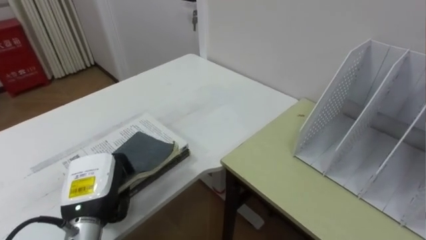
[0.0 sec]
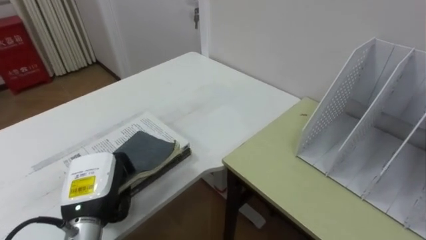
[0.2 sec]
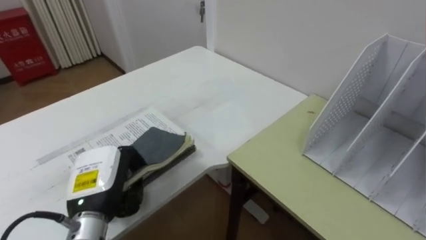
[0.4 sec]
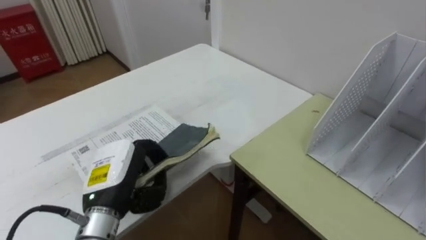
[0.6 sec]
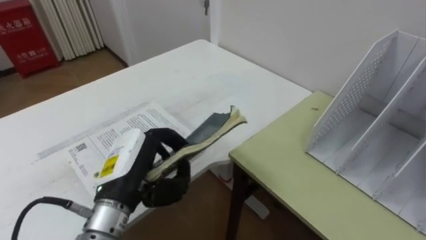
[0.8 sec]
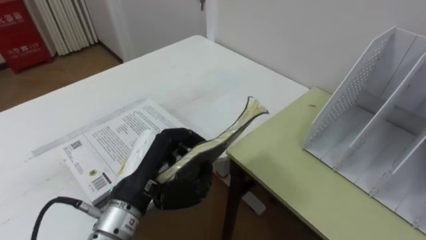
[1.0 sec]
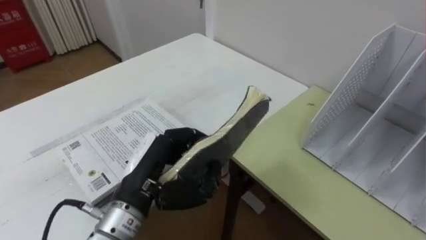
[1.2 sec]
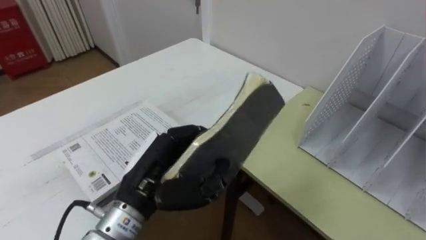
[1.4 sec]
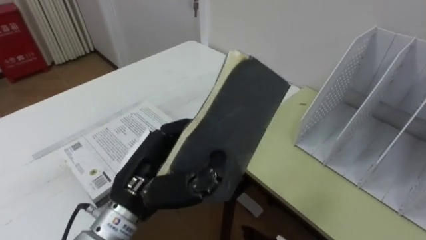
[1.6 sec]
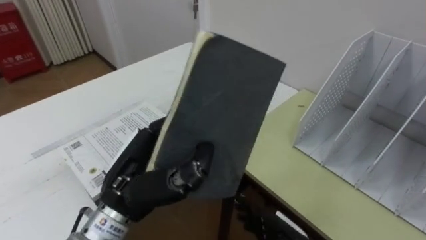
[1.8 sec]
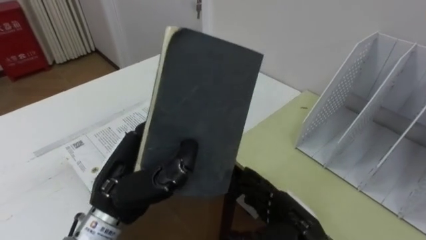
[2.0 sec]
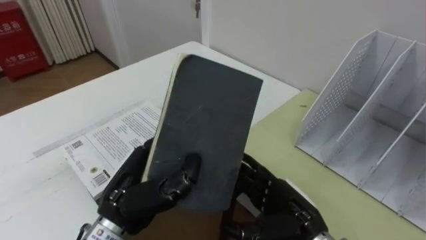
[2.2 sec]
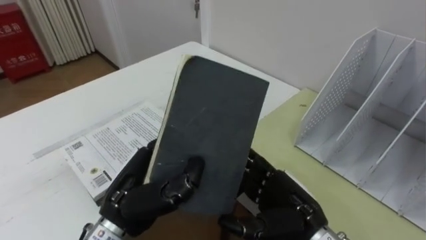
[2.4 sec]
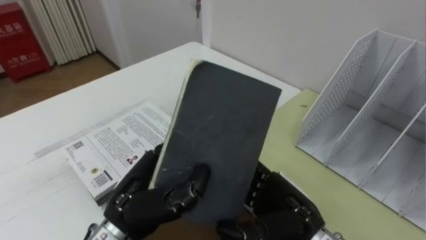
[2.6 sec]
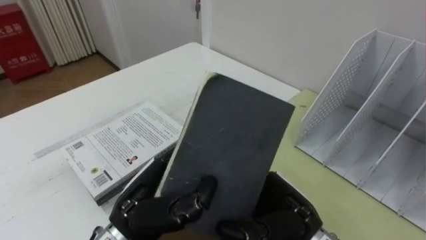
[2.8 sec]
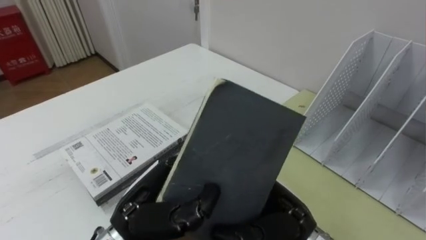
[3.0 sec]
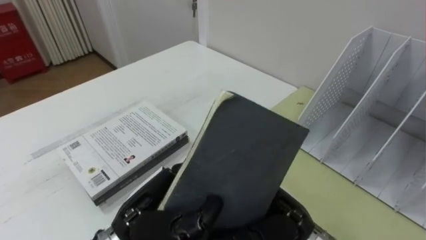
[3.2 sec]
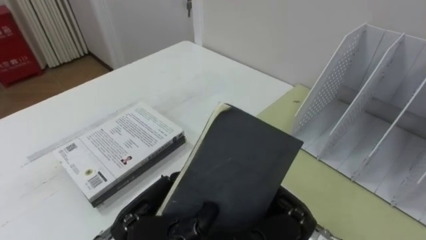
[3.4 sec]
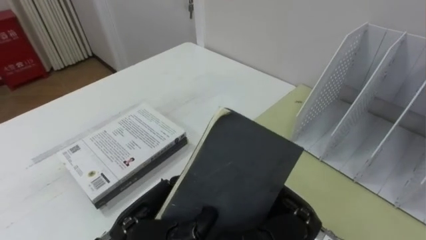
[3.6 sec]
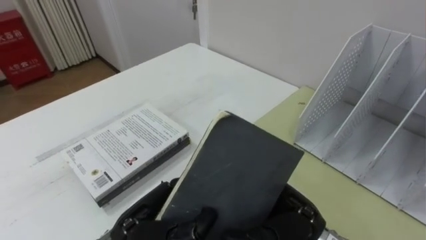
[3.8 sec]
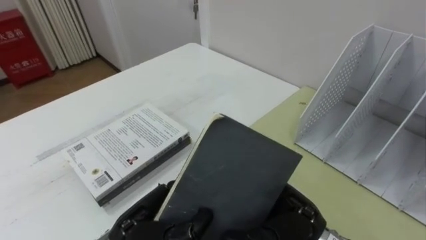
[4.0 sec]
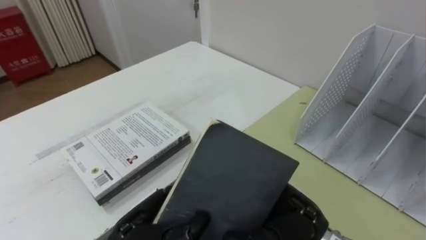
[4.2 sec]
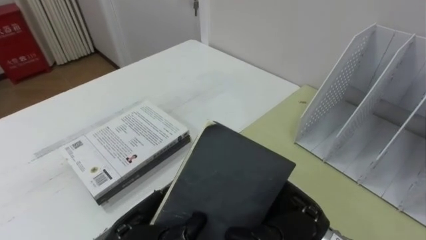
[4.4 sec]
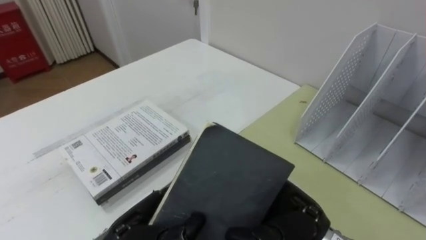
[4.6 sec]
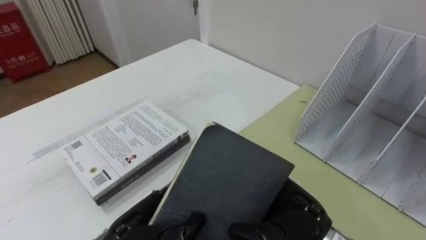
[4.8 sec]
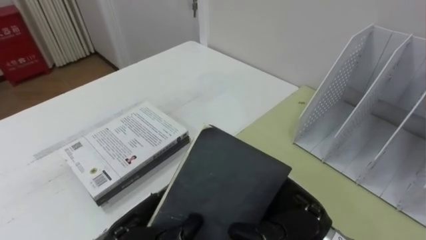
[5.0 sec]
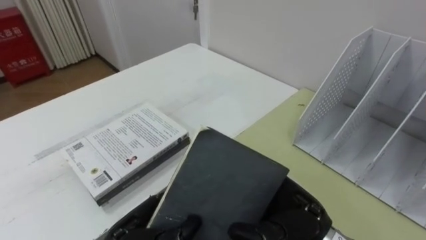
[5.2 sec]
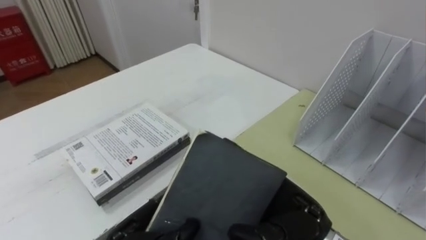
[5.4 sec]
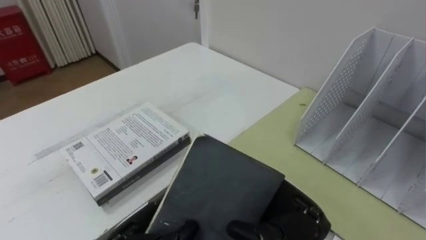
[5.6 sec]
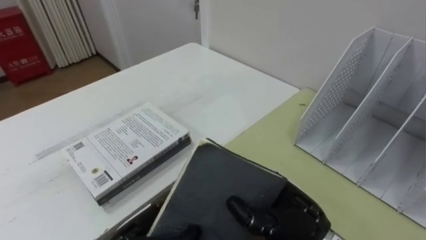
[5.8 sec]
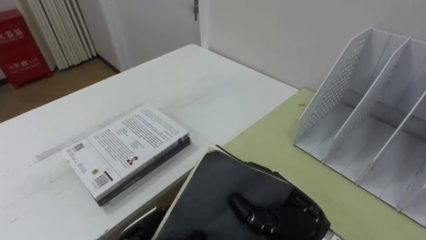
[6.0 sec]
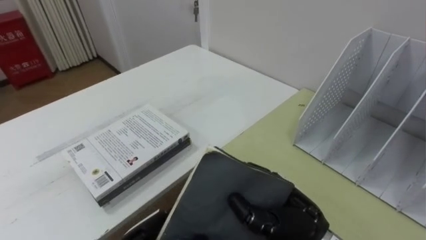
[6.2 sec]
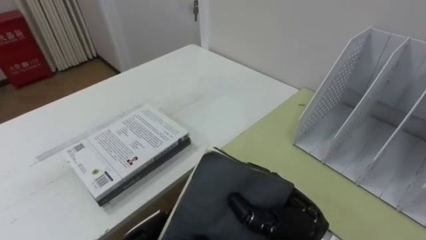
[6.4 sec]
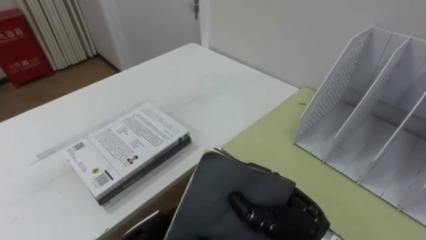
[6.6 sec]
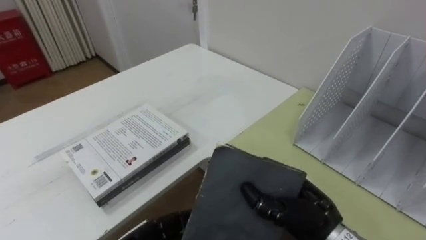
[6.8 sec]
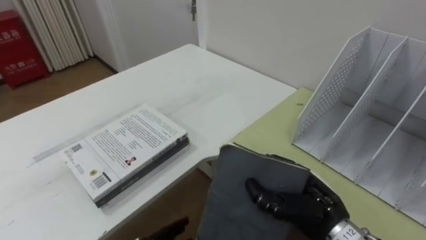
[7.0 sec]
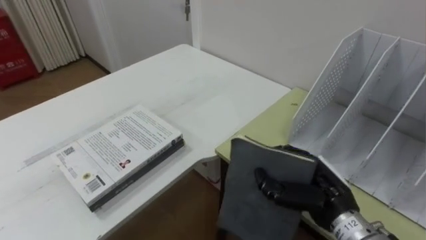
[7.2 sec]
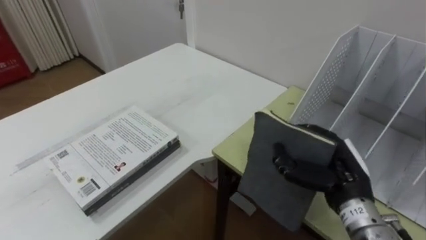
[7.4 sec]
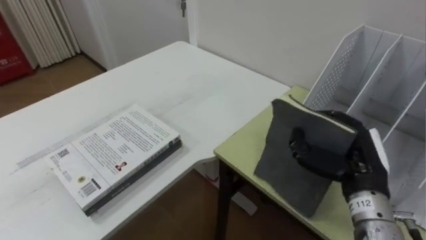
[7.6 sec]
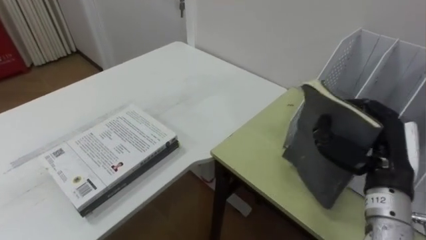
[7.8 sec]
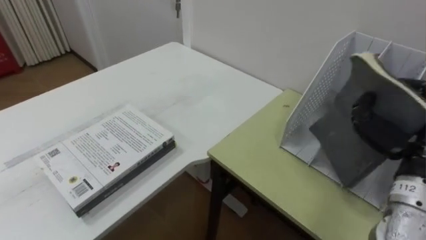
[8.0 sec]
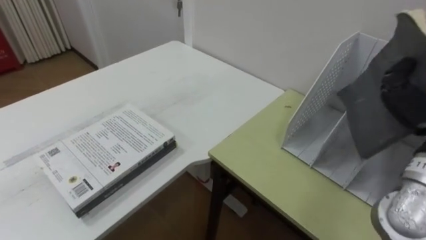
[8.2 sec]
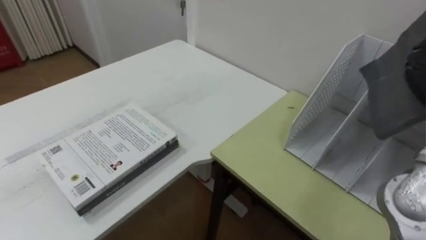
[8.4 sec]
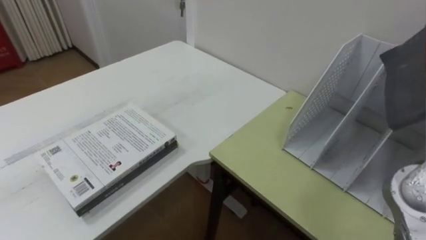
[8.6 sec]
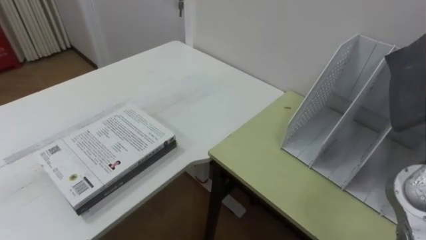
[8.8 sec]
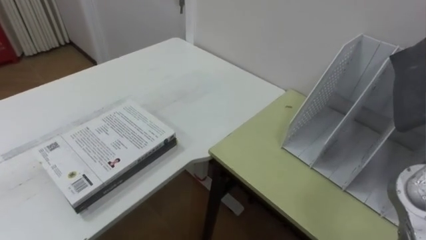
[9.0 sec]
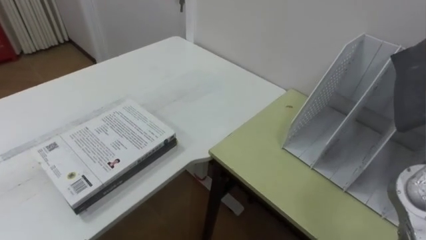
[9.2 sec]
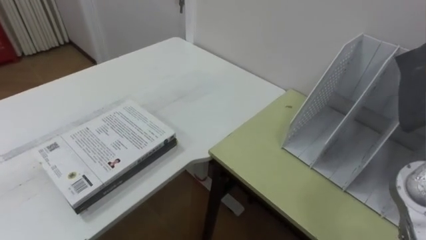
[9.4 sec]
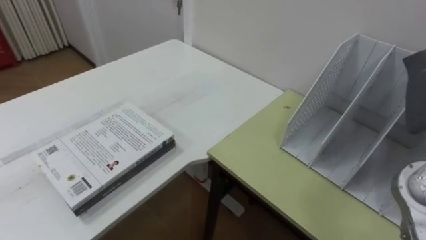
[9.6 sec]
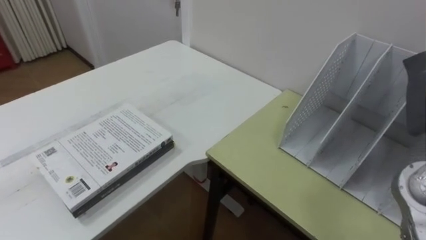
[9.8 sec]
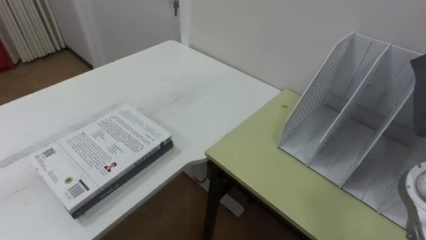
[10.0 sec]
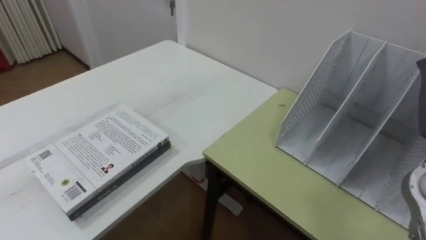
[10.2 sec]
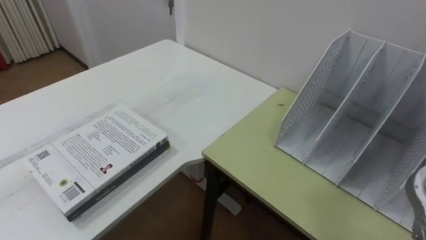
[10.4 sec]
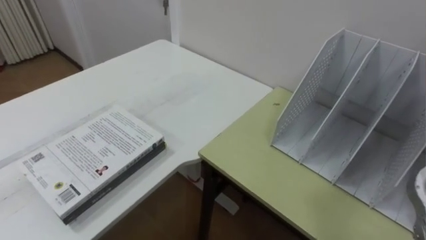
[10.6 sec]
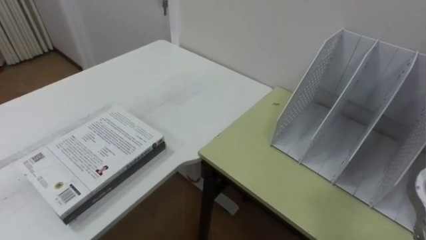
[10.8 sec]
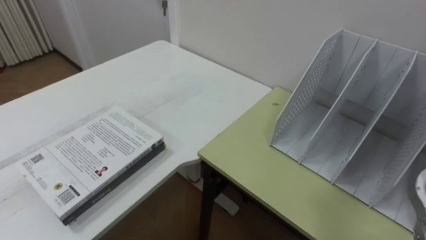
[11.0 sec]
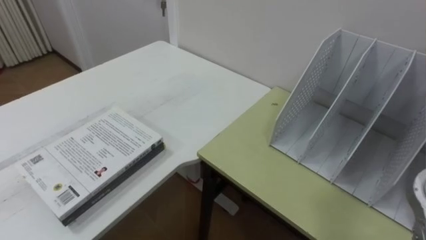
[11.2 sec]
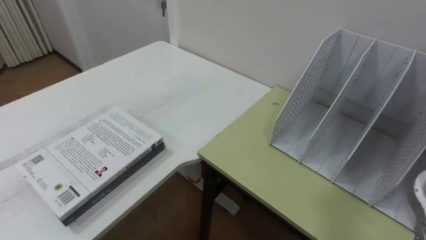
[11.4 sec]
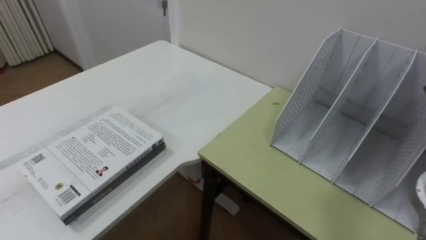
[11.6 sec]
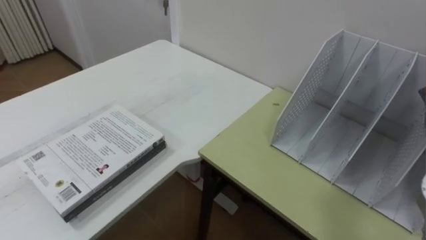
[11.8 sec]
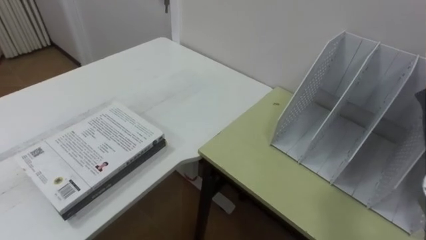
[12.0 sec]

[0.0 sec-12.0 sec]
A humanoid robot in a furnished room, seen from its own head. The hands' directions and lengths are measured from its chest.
Task of the whole recording: Put the books on the table onto the bookshelf.
0.0 sec to 1.6 sec: The left hand is displaced to the right and upward by roughly 15 cm.
3.0 sec to 4.4 sec: The left hand moves downward, about 5 cm.
4.4 sec to 6.0 sec: The right hand closes its fingers.
6.0 sec to 7.6 sec: The right hand shifts approximately 10 cm to the right and forward.

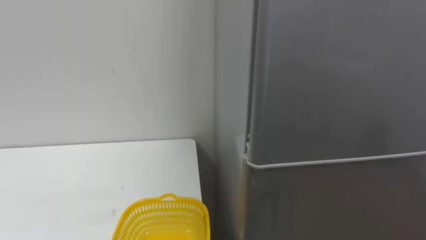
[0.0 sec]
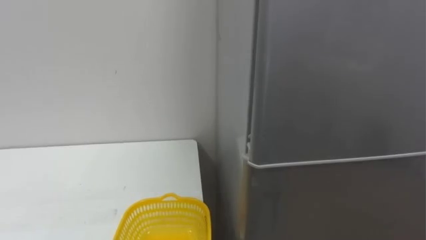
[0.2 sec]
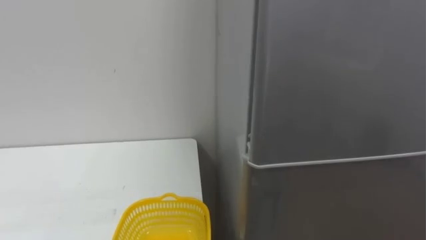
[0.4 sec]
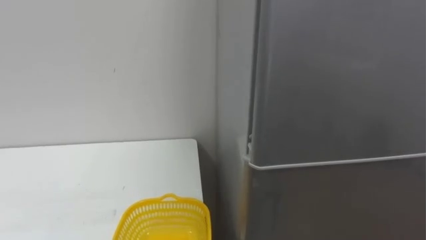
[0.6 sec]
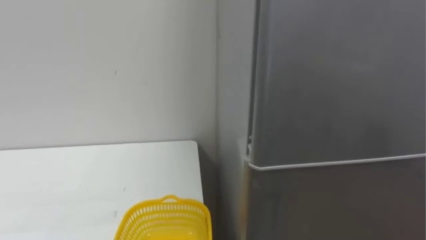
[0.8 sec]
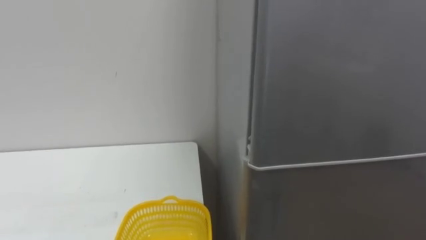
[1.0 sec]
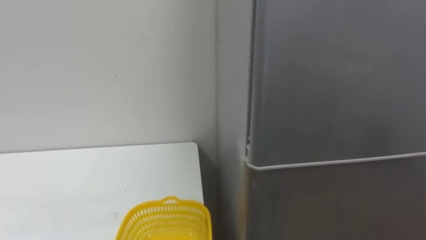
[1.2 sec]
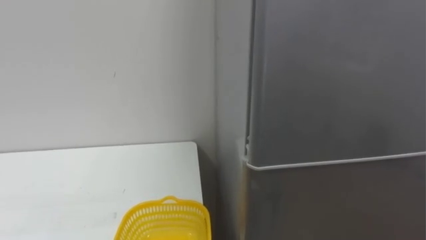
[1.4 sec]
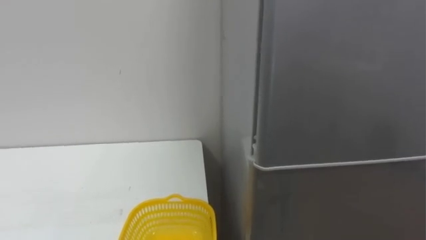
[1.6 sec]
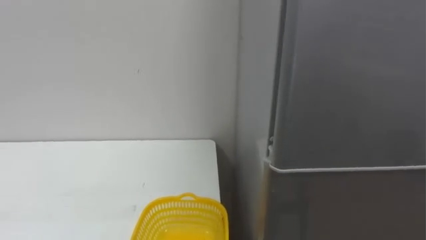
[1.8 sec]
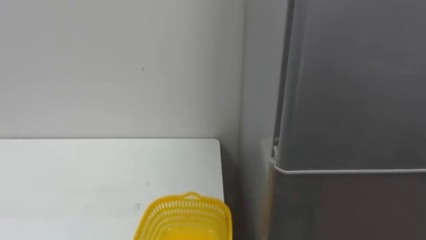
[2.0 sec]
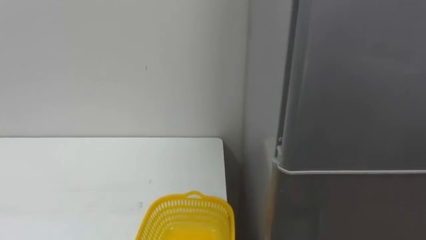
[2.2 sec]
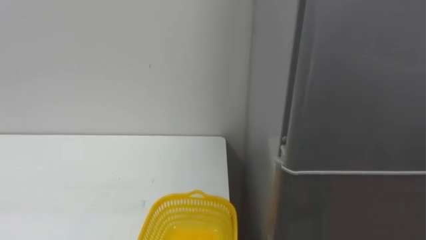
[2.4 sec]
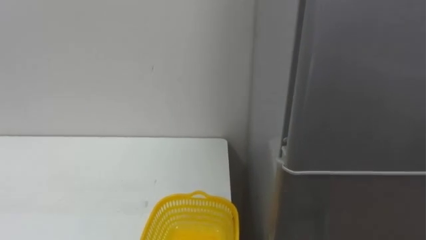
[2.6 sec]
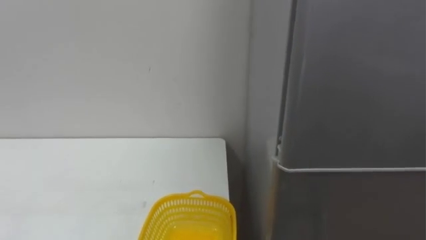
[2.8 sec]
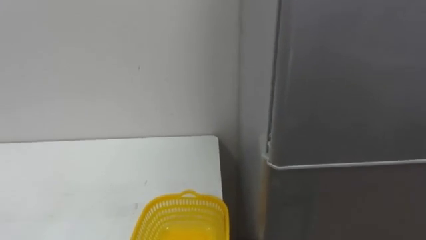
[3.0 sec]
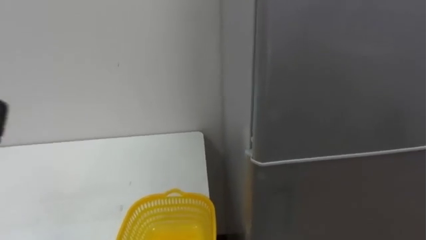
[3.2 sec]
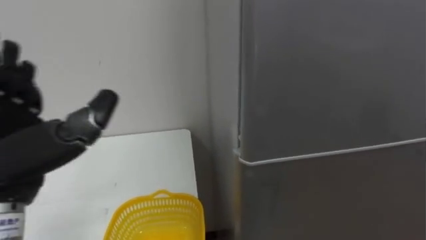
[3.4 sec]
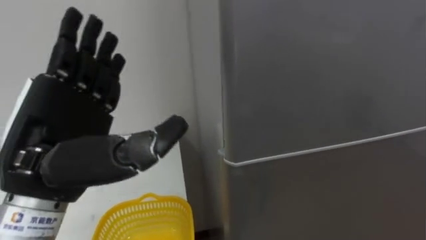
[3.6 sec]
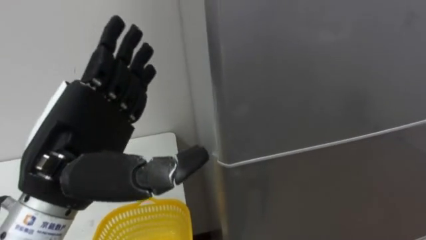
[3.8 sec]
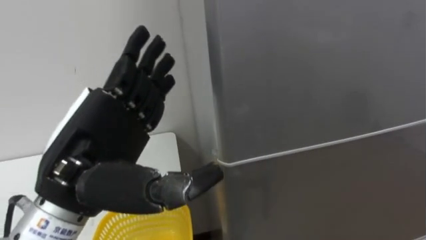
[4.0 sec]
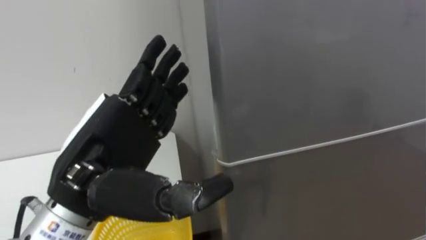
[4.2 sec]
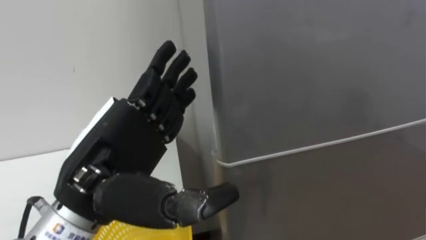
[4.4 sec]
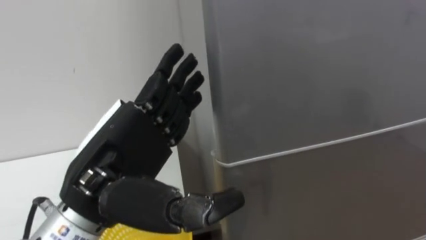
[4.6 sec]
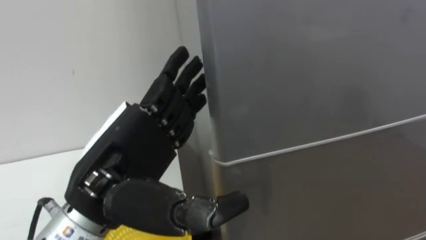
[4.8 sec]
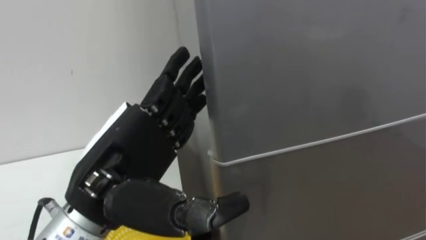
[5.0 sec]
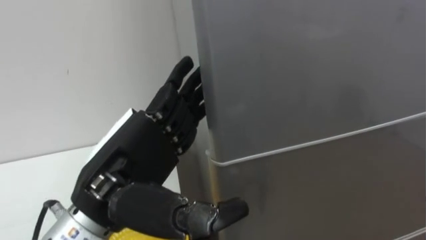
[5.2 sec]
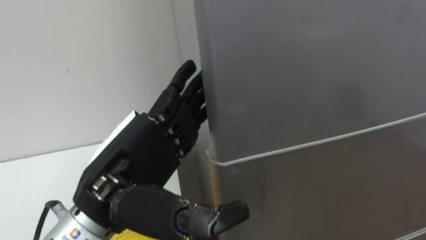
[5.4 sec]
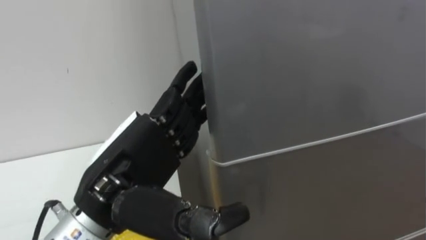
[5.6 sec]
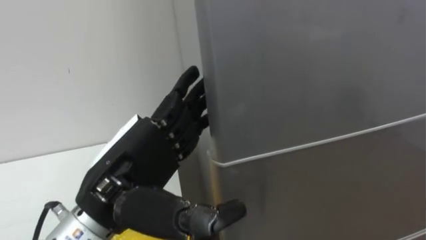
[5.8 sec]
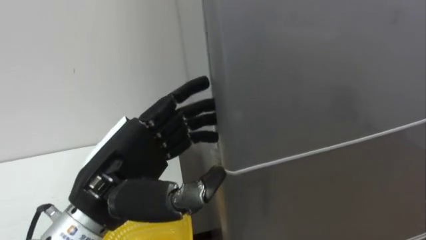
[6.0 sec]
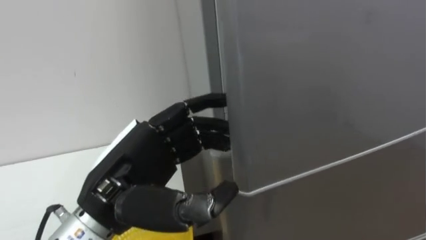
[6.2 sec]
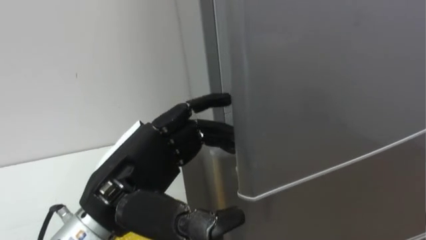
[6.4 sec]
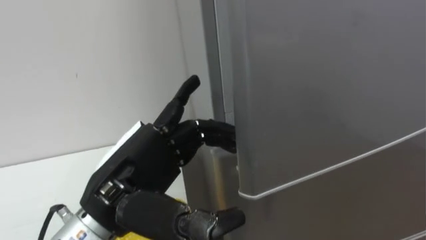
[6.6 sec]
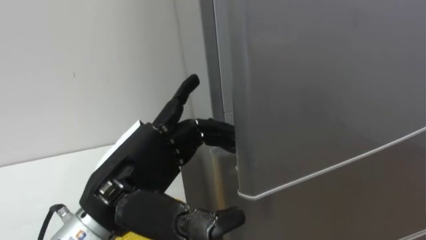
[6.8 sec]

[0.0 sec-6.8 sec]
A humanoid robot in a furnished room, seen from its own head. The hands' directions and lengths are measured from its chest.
Task of the whole recording: Open the refrigerator door, take out the apple and the pomegranate, place them in the fruit basket on the left, and close the refrigerator door.
5.4 sec to 6.8 sec: The left hand closes, then reopens.
